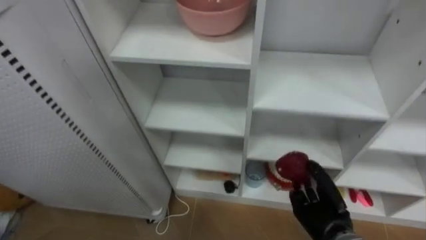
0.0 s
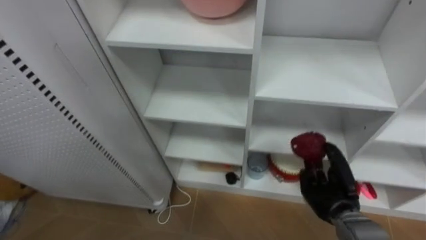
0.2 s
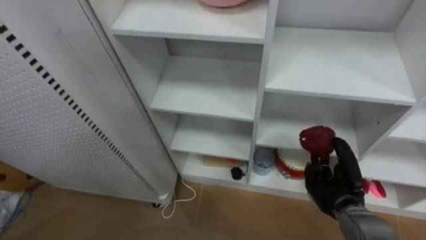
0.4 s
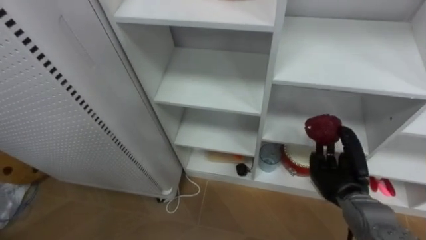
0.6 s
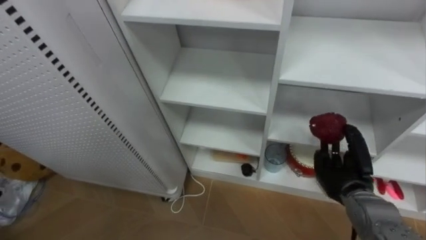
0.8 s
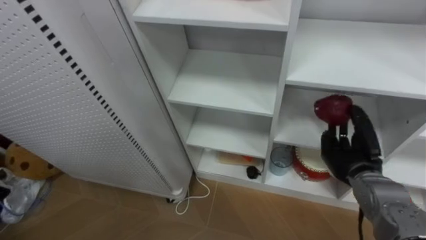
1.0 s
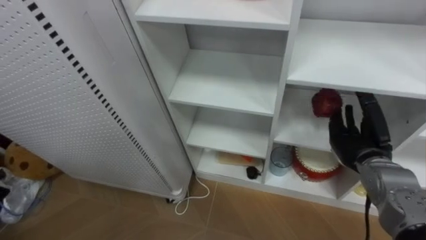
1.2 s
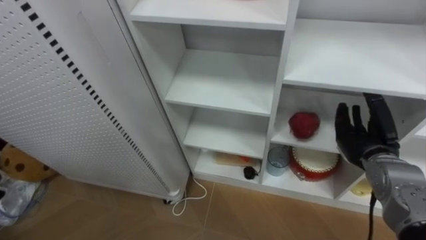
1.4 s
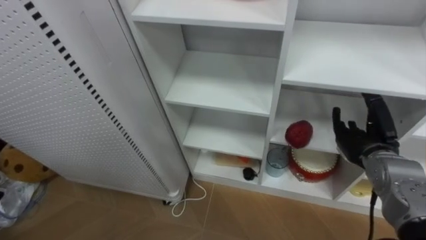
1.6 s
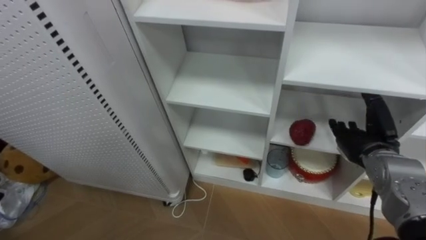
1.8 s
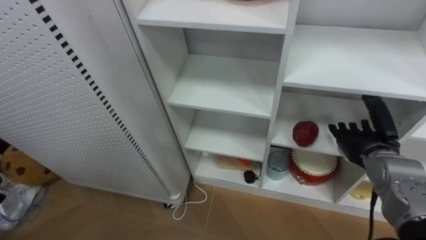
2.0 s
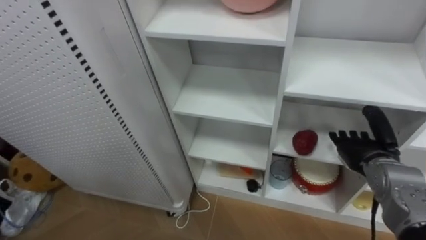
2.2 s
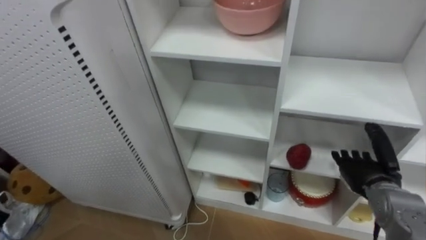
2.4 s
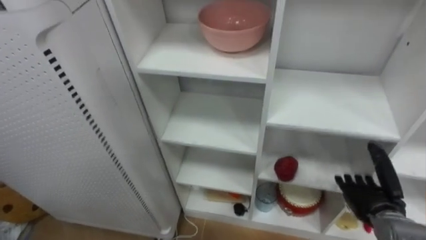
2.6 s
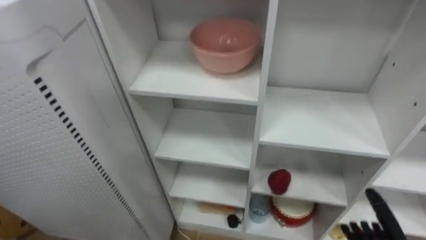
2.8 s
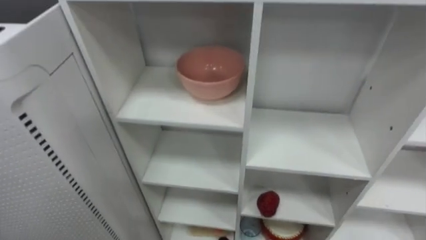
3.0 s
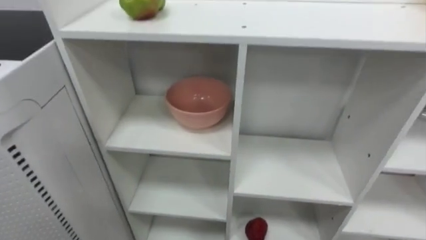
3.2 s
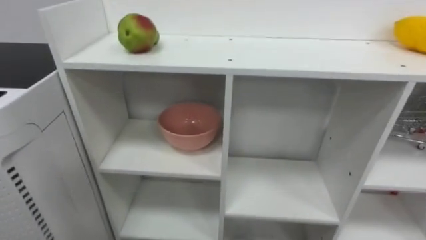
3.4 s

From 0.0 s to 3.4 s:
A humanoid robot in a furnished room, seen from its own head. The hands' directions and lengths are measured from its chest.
Task of the whole recording: Put the apple in the cell in the second column from the left and the second row from the top.
From 0.0 s to 1.6 s: The right hand shifts some 15 cm upward, to the right and forward, and opens.

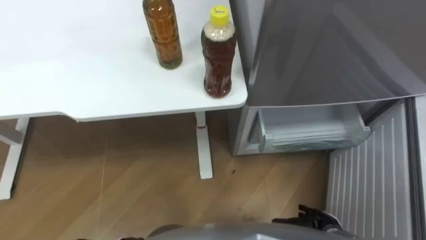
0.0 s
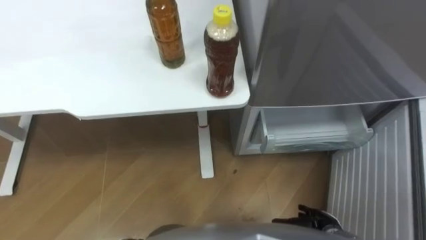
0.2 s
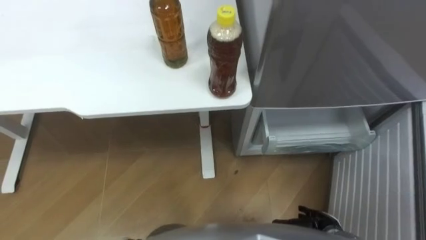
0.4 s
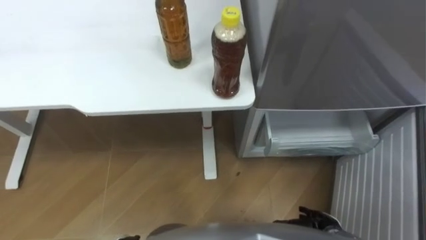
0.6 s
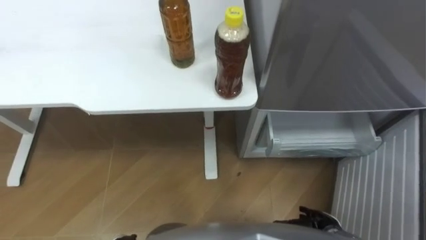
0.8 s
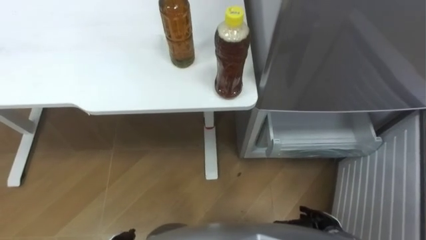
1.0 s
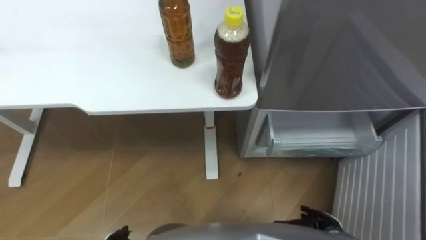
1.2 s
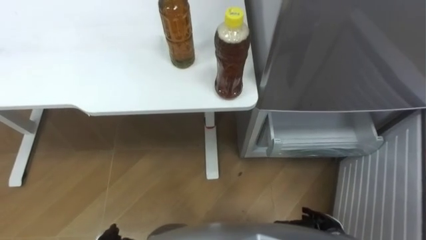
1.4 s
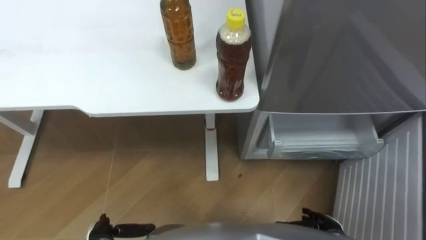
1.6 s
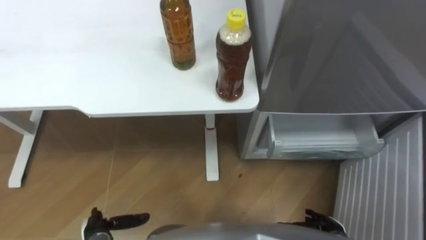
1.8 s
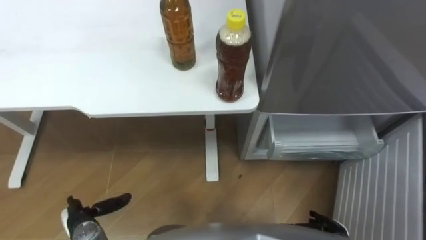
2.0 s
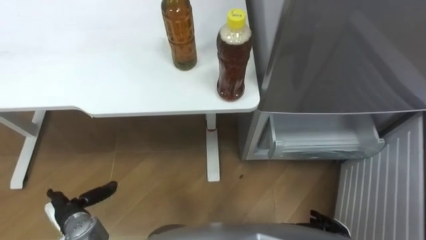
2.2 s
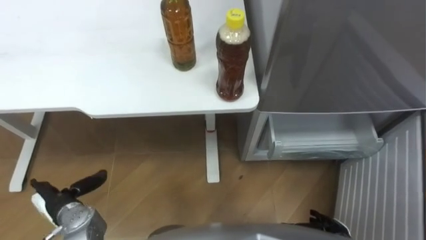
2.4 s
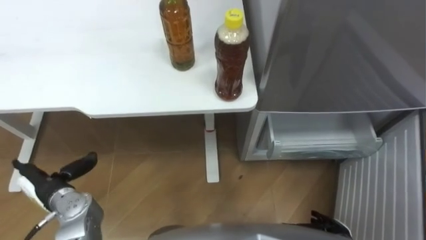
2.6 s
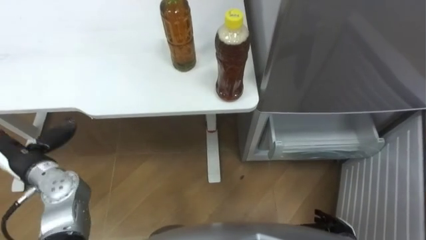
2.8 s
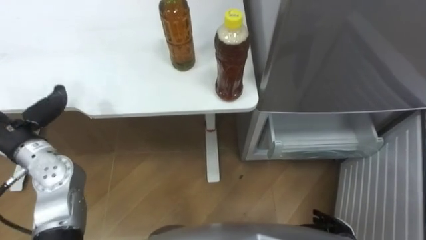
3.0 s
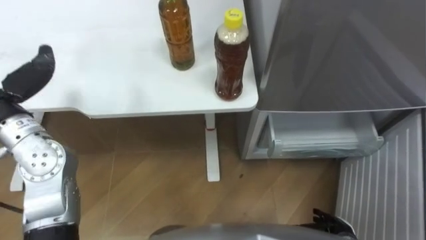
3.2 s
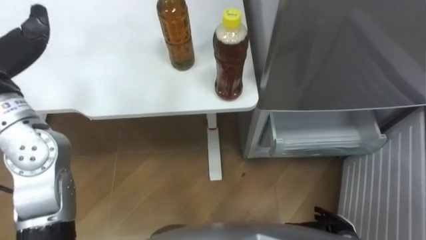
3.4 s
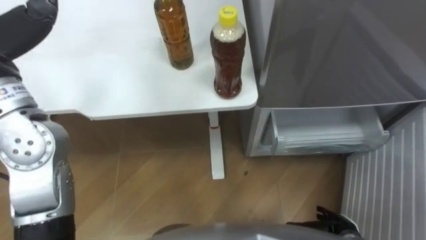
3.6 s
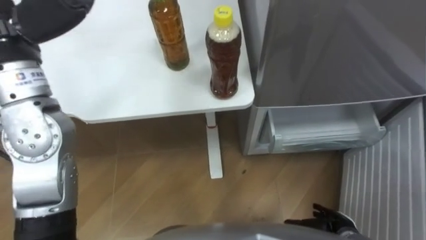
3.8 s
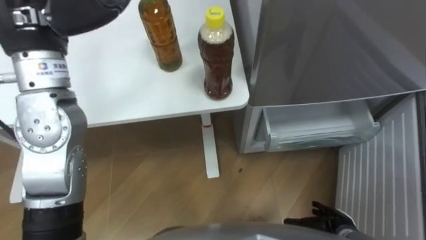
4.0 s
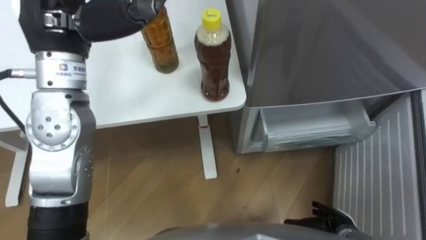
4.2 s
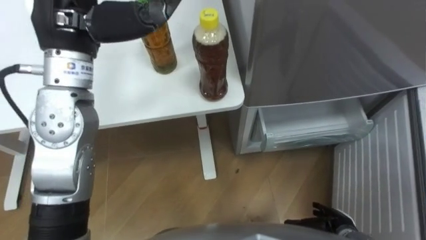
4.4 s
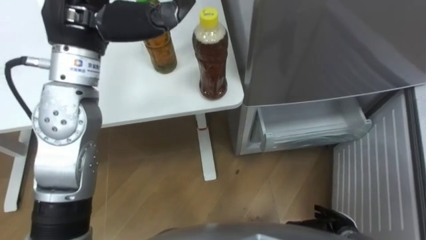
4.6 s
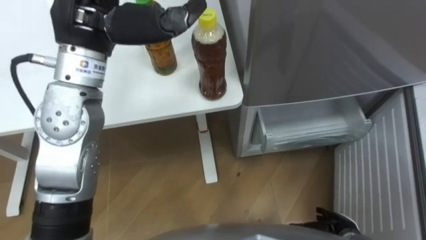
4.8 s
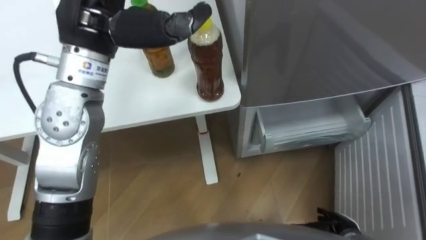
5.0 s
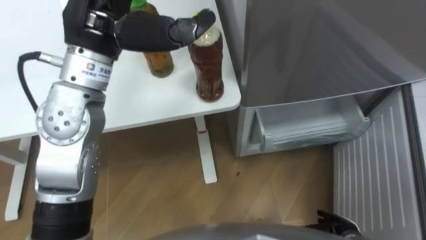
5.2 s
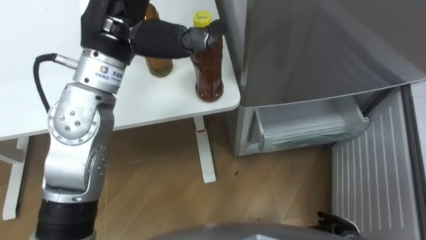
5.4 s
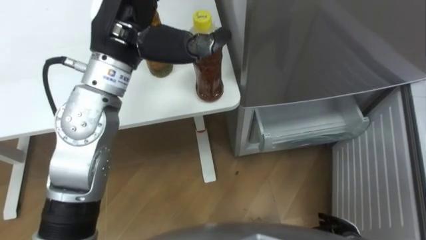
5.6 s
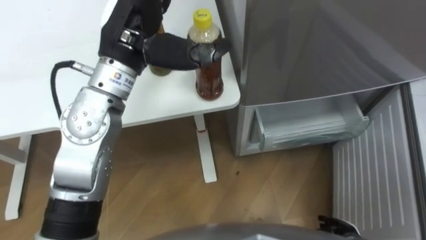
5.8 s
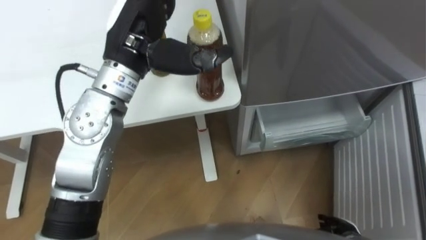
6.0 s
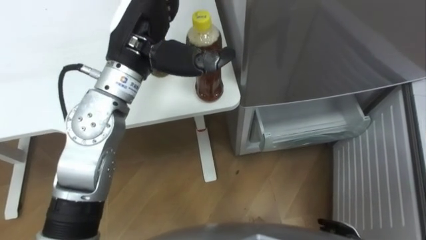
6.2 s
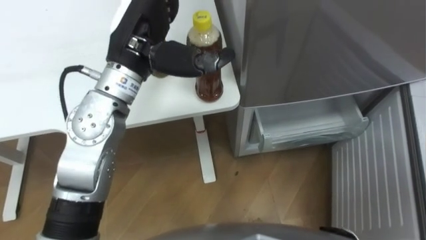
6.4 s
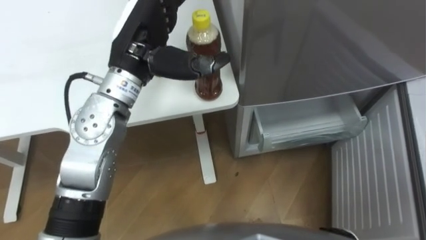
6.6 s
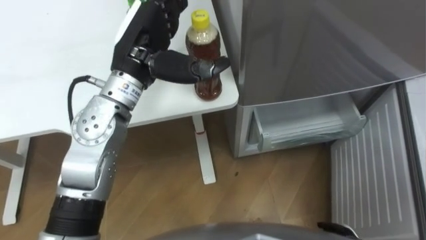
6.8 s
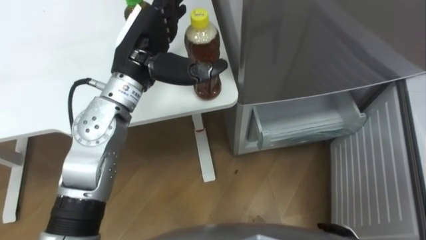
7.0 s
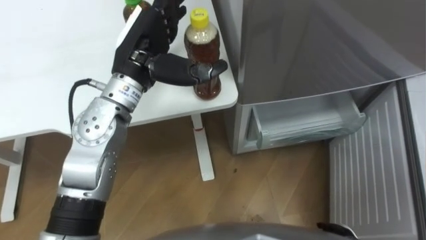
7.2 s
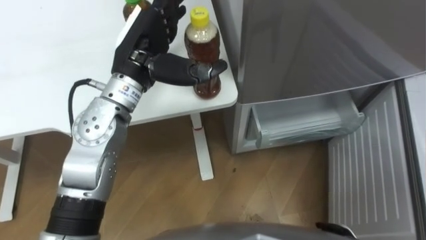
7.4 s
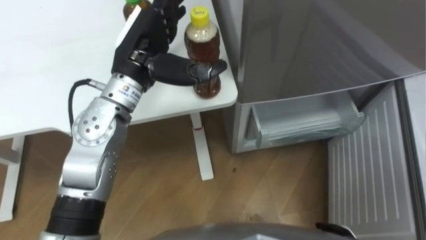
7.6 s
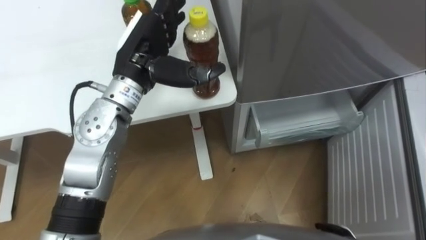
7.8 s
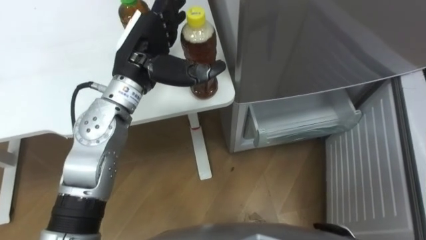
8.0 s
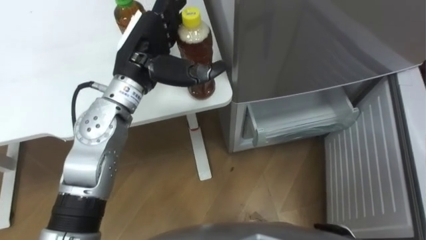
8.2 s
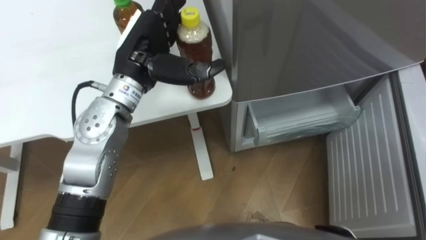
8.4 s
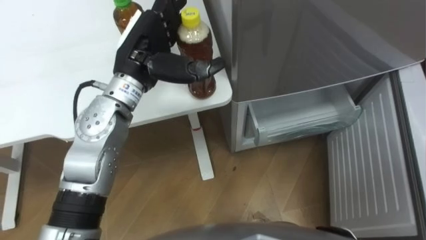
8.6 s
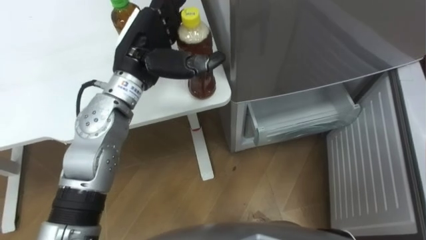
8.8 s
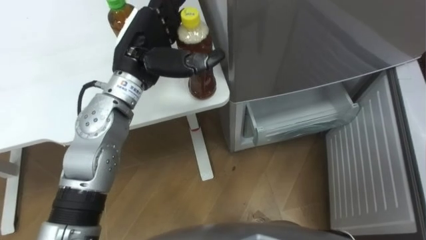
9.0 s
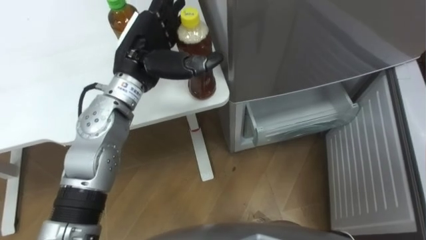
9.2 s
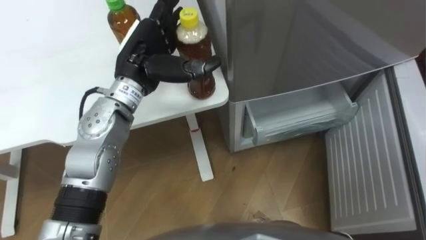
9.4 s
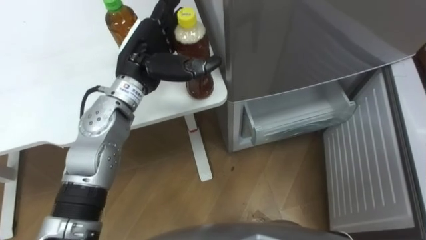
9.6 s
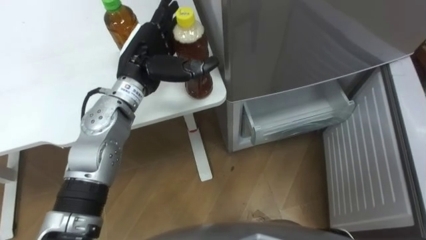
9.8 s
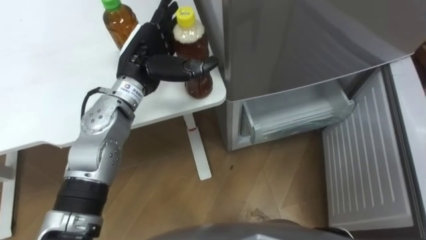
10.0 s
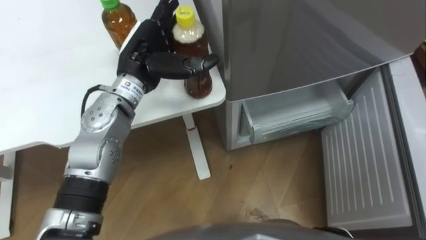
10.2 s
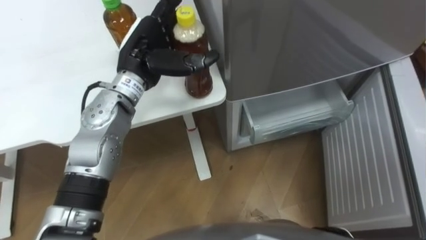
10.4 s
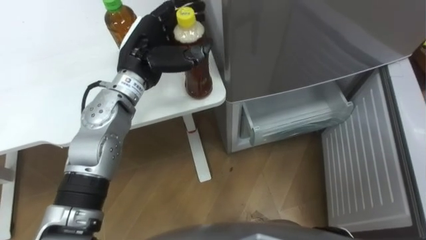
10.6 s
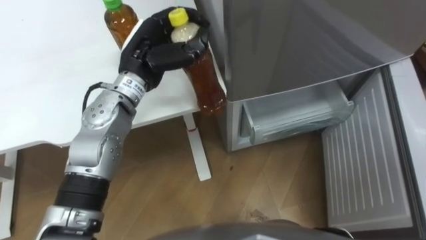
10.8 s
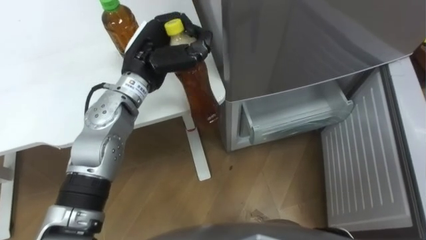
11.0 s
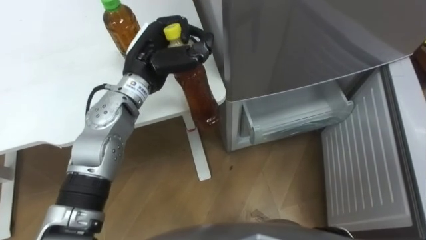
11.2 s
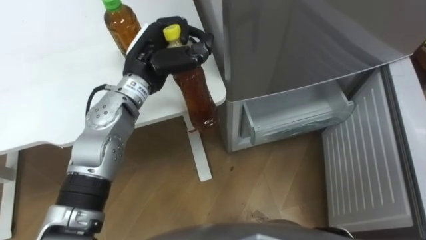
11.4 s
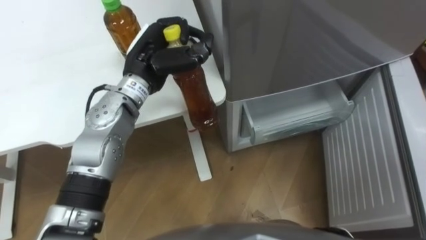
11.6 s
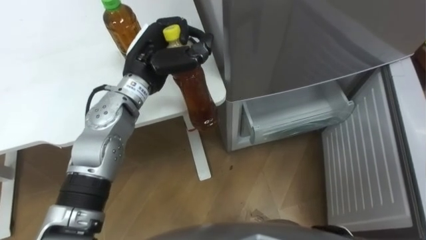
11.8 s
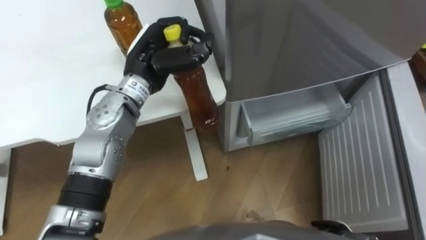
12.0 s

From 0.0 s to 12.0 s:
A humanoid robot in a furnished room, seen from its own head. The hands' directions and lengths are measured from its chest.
Task of the whole recording: Place the drink on the table on the bottom shelf of the refrigerator, then close the drawer and the refrigerator door.
From 4.4 s to 6.0 s: The left hand goes some 5 cm to the right.
From 10.4 s to 12.0 s: The left hand closes up.

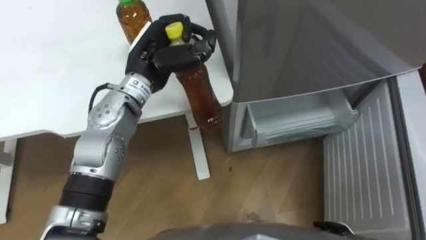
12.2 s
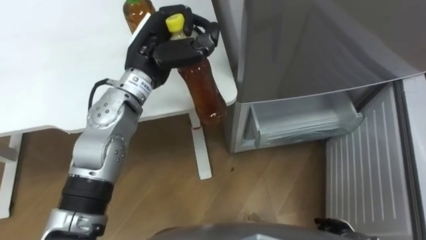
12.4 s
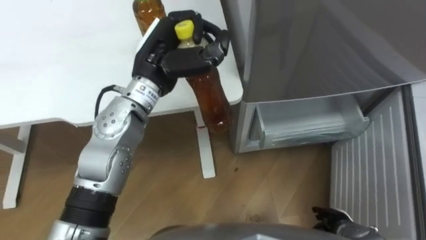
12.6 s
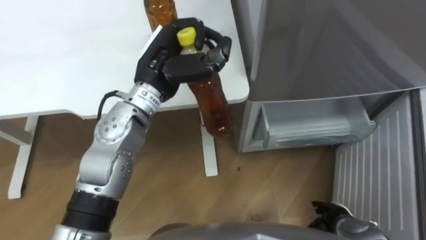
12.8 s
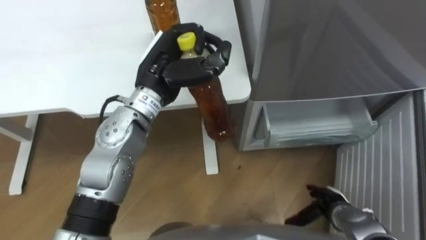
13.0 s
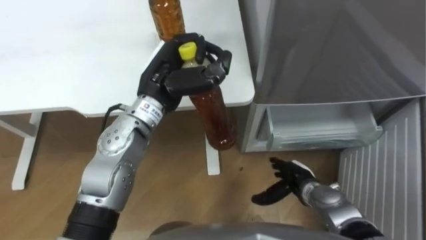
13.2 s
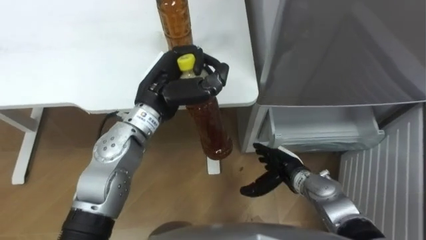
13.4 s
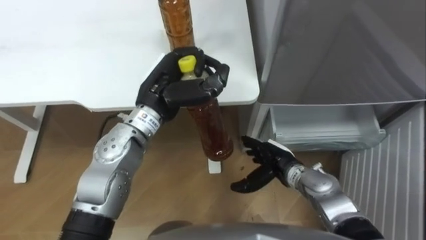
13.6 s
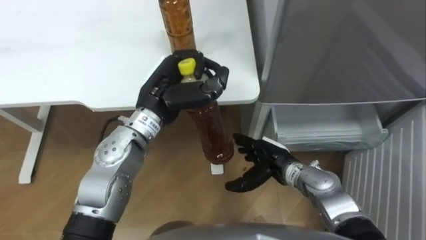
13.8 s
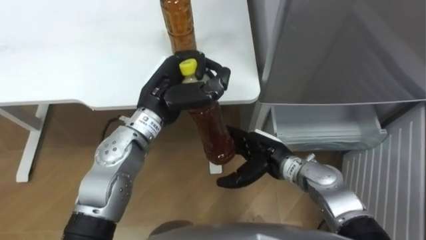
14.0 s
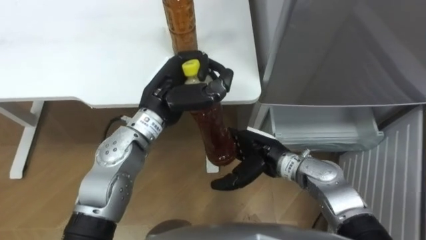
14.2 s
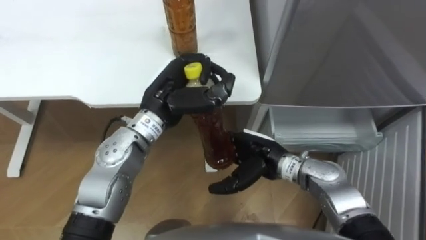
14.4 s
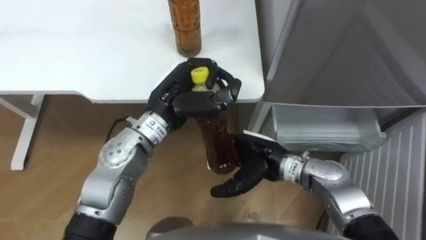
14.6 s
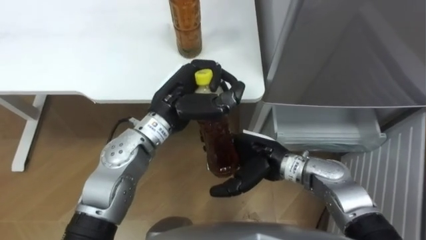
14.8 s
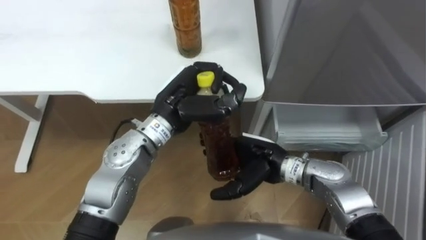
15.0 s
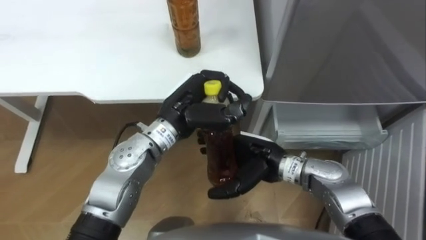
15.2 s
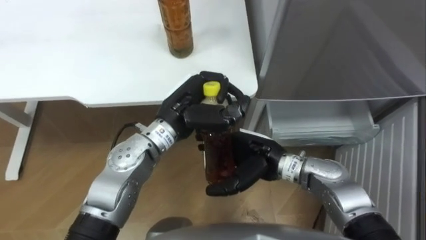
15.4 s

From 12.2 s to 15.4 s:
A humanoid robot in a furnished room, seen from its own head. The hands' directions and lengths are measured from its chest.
Task of the whole recording: Place the drink on the table on the bottom shelf of the refrigerator, then close the drawer and the refrigerator door.
From 12.2 s to 13.8 s: The right hand moves forward, to the left and upward, about 25 cm, while the left hand shifts roughly 5 cm backward.
From 13.8 s to 15.4 s: The right hand travels upward and to the left by approximately 10 cm.
